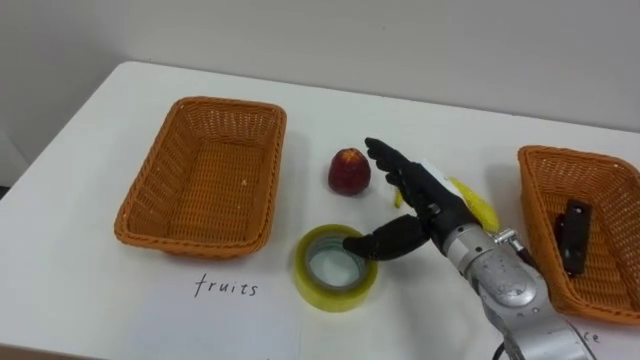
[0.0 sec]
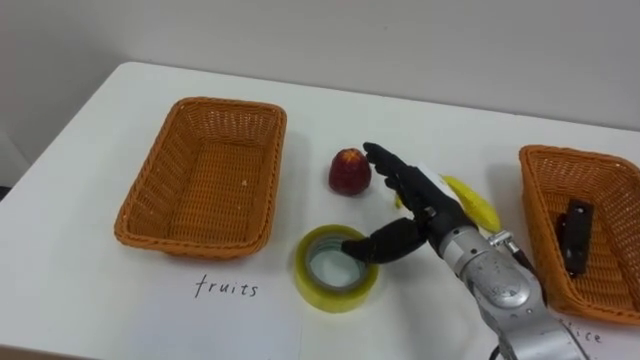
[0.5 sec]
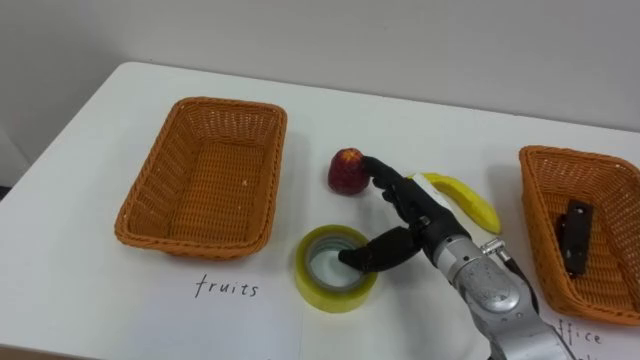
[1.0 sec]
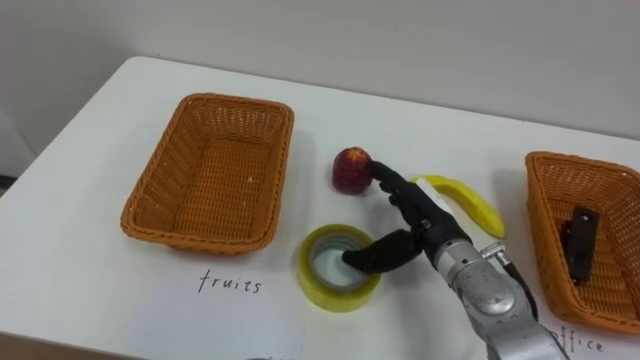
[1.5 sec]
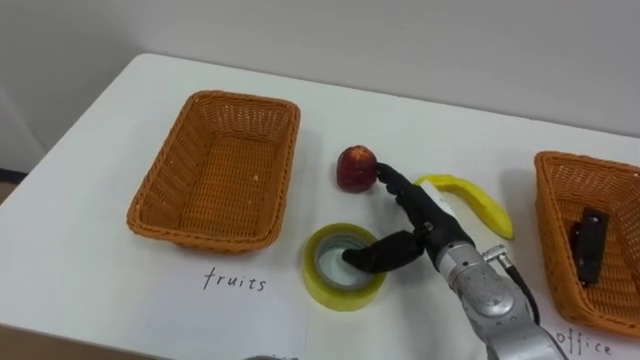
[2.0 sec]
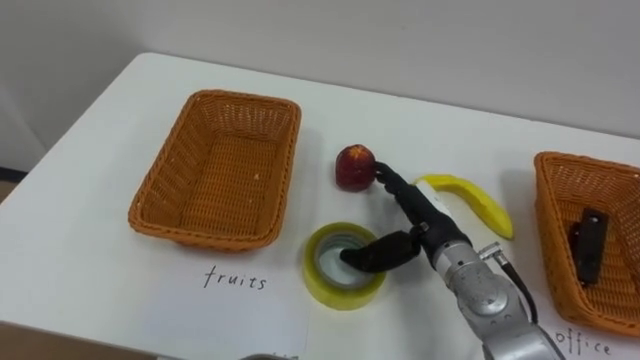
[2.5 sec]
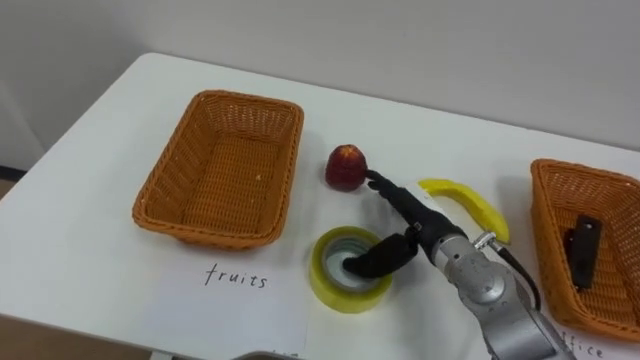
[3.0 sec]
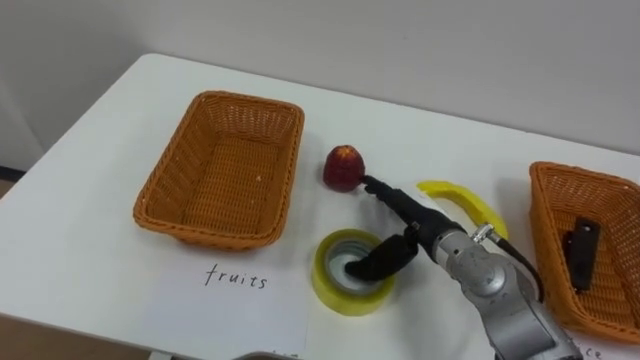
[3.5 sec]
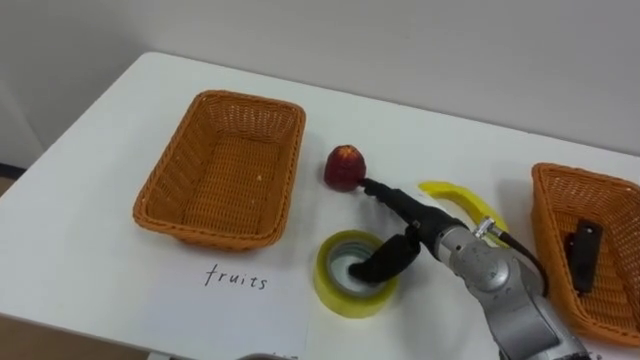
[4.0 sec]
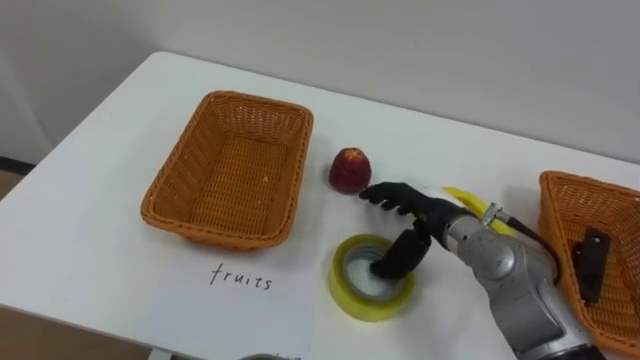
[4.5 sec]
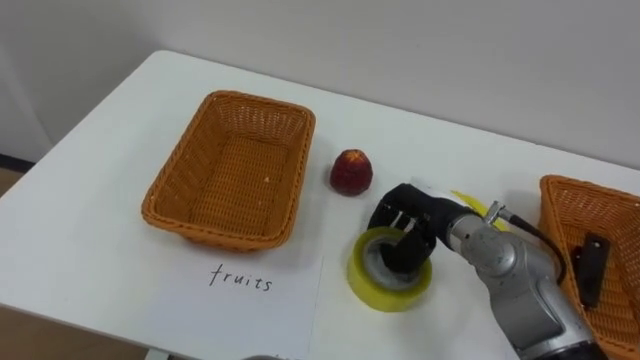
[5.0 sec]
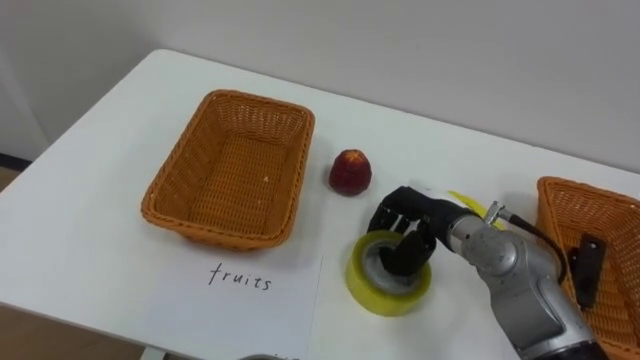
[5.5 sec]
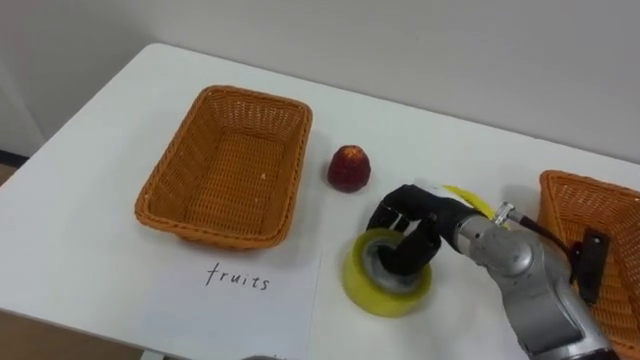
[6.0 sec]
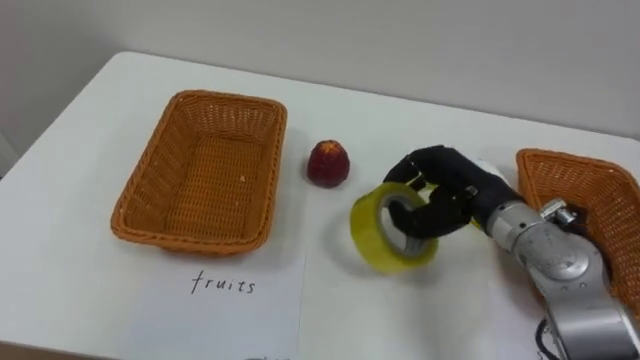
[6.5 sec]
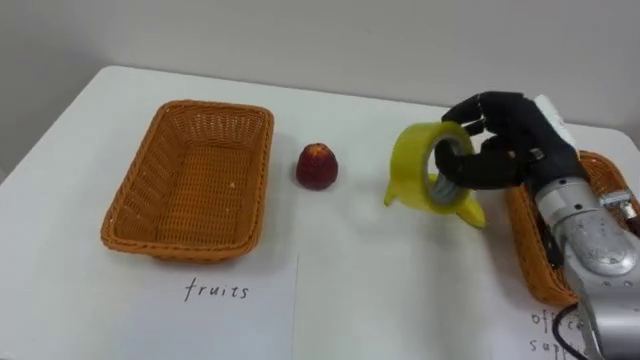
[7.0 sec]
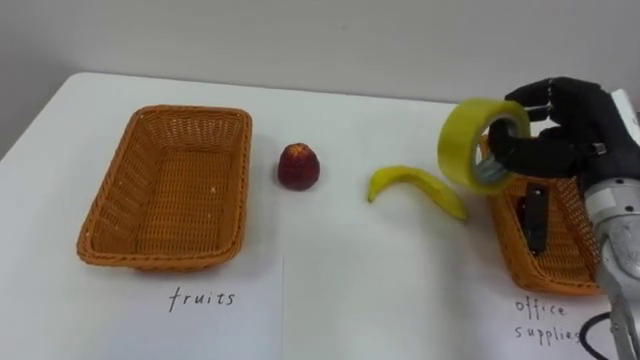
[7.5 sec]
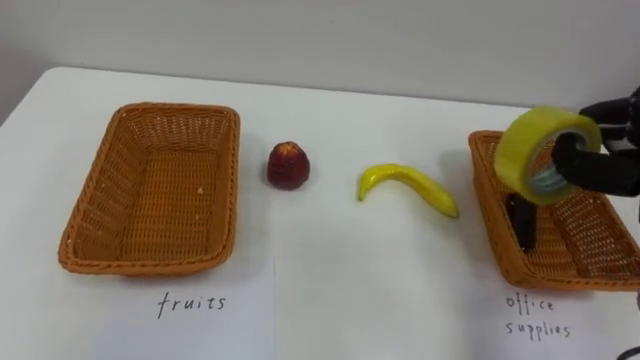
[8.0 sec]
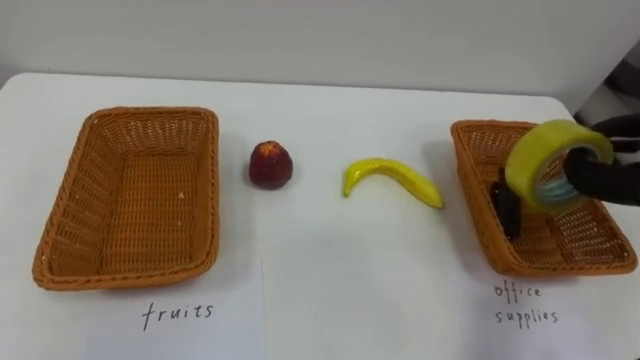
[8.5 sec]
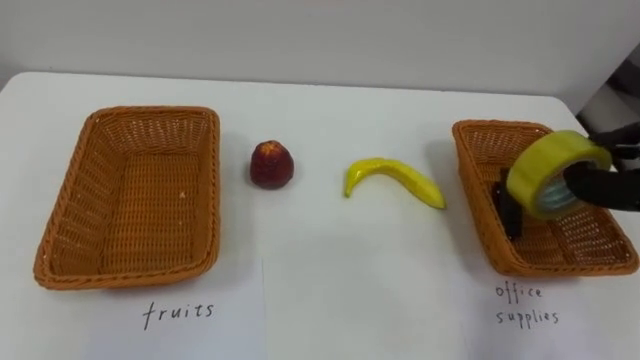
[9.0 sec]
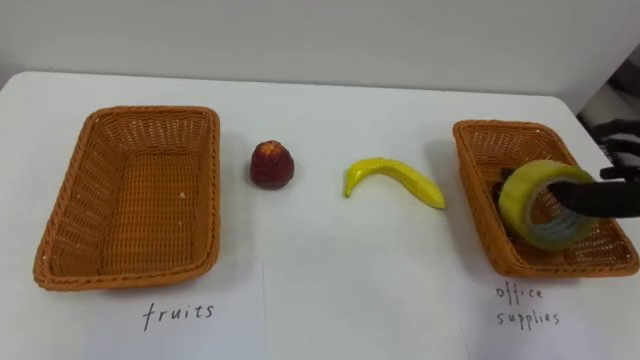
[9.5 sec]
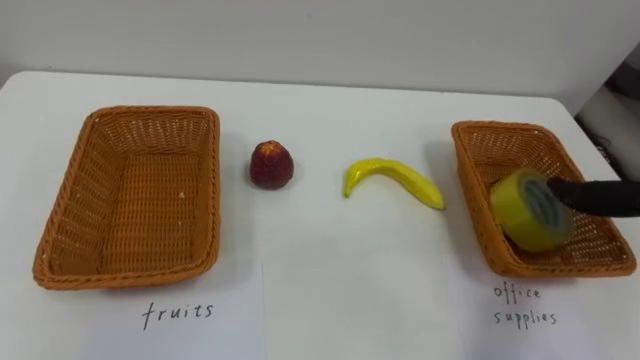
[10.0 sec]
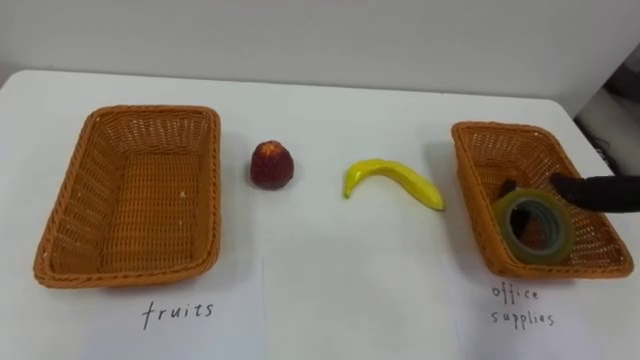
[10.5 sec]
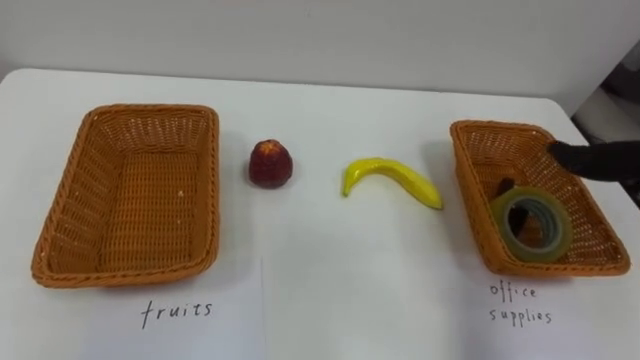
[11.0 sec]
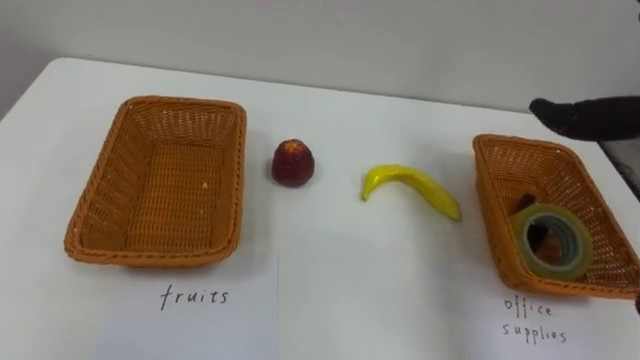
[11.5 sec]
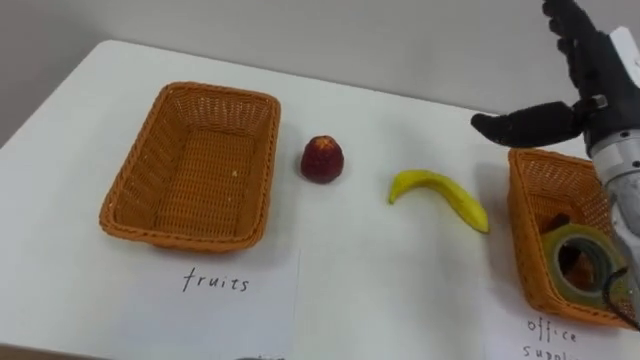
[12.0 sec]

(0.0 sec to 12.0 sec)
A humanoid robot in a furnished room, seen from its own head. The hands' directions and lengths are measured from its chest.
Task of the whole recording: Separate the items on the table and place them into the two baskets.
4.0 sec - 6.0 sec: The right hand closes.

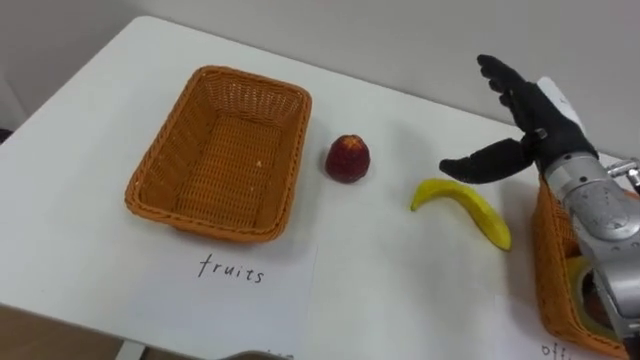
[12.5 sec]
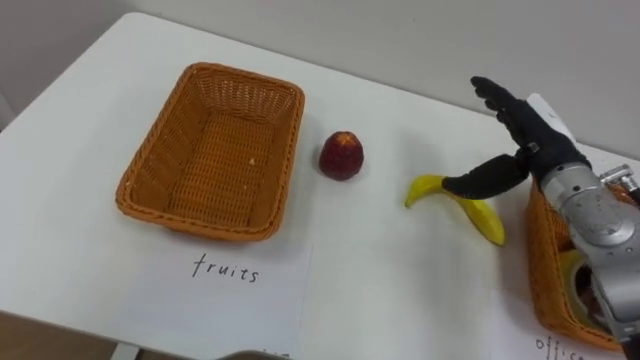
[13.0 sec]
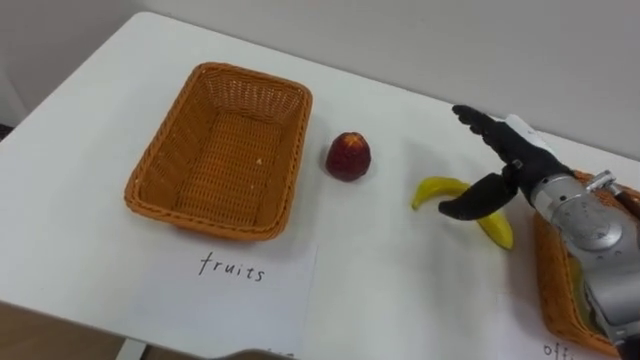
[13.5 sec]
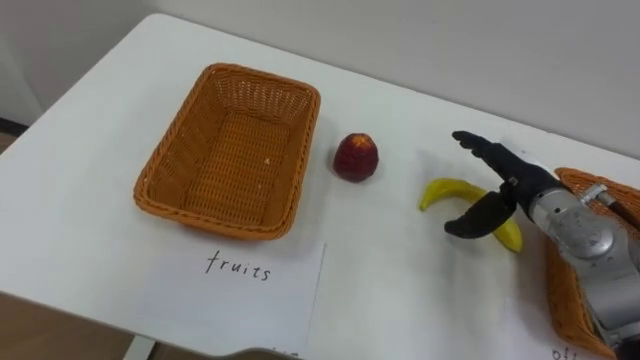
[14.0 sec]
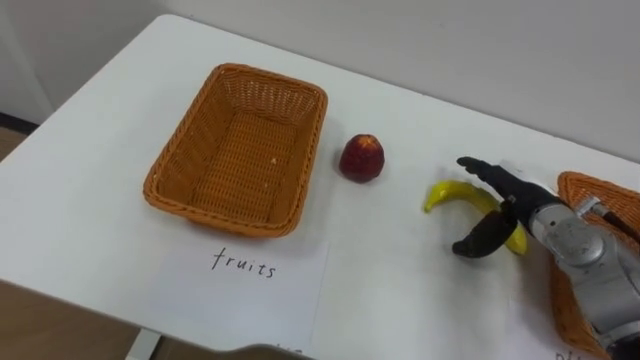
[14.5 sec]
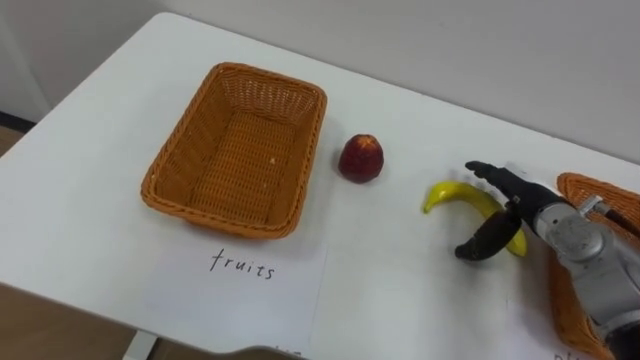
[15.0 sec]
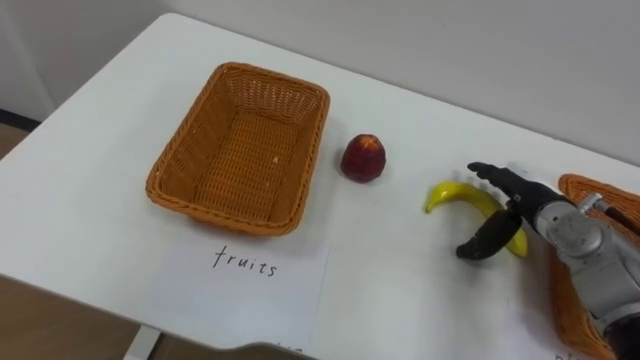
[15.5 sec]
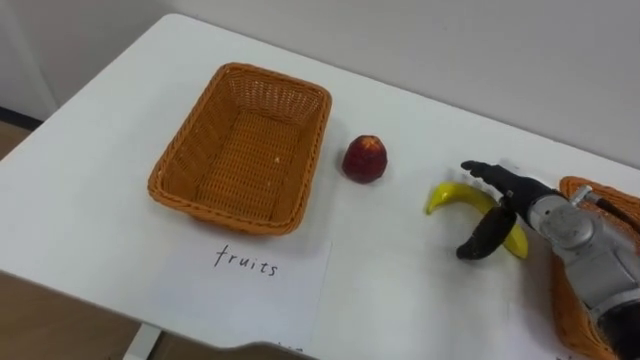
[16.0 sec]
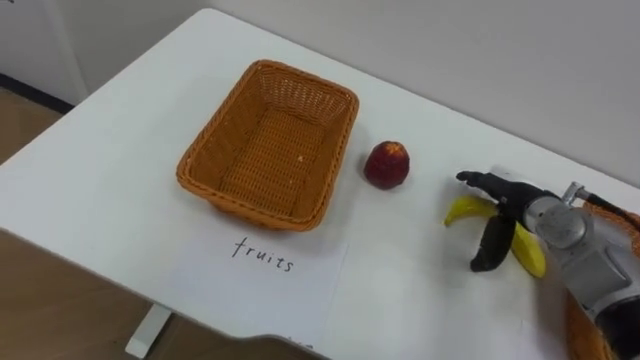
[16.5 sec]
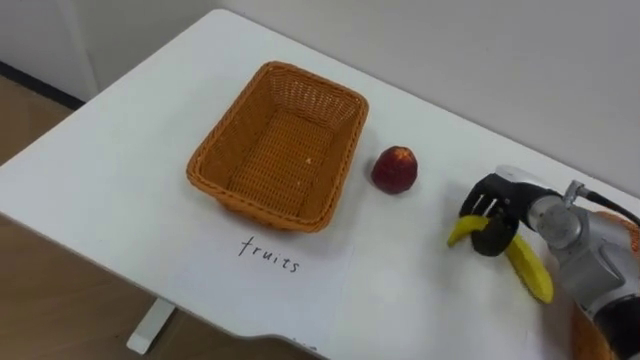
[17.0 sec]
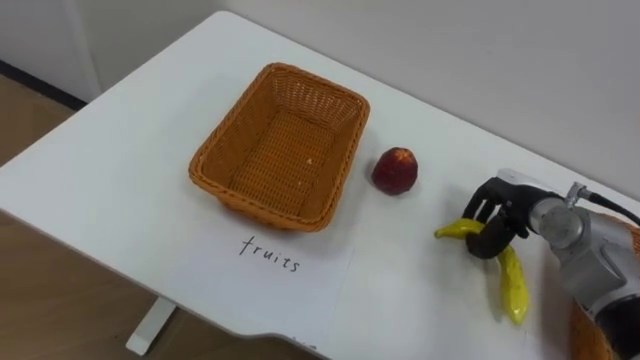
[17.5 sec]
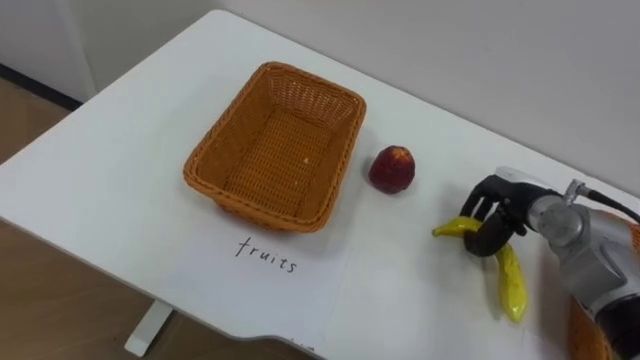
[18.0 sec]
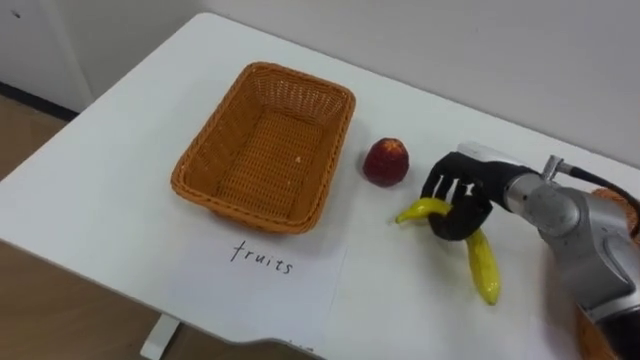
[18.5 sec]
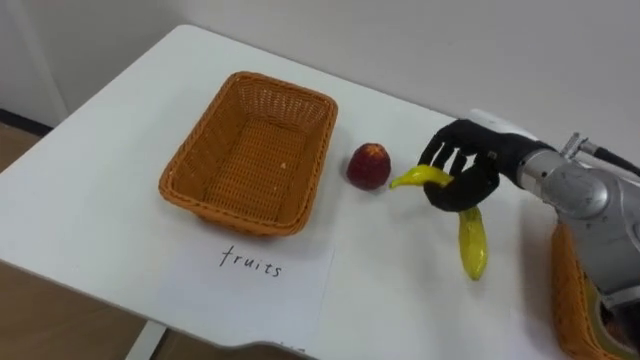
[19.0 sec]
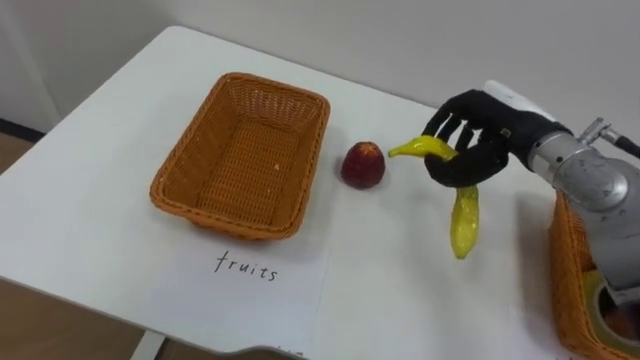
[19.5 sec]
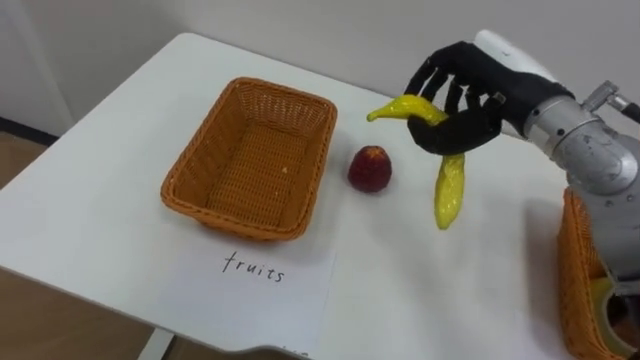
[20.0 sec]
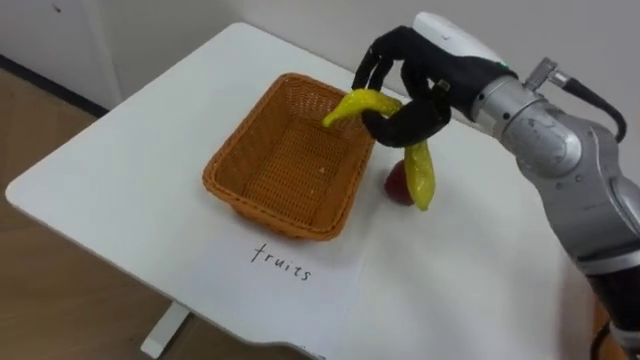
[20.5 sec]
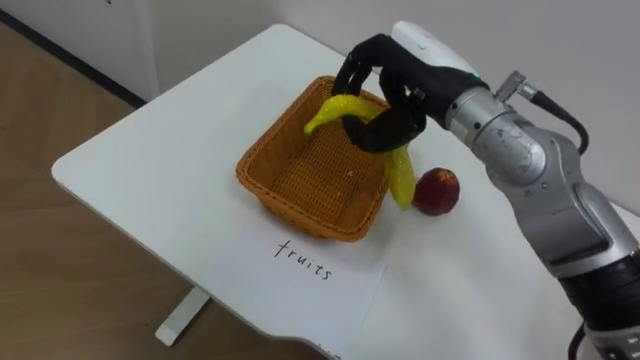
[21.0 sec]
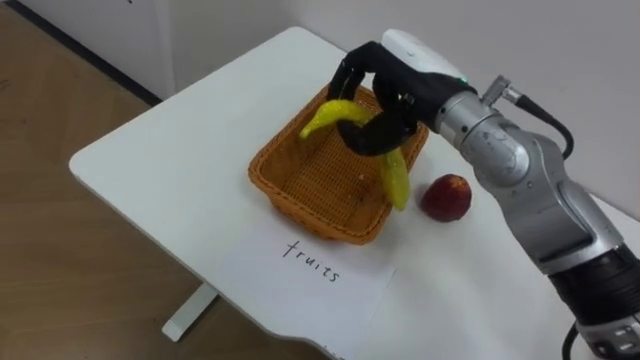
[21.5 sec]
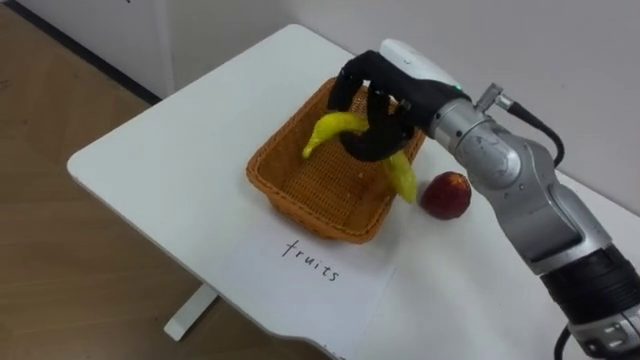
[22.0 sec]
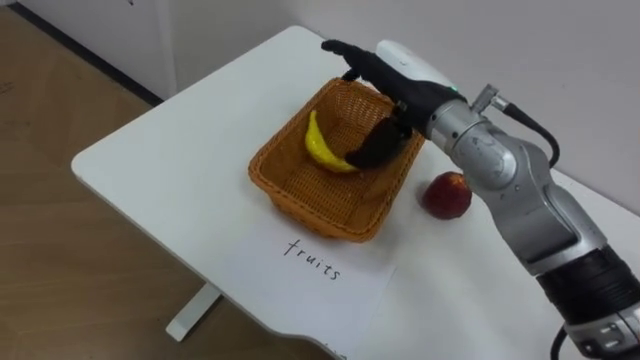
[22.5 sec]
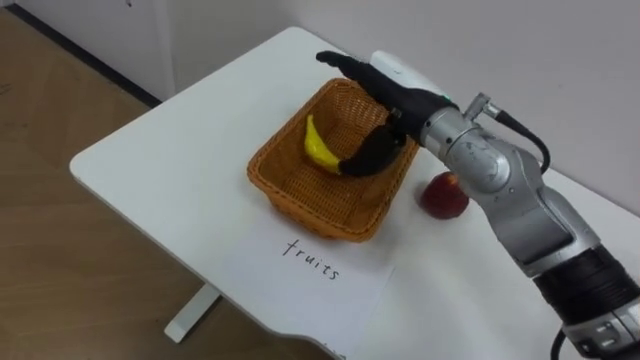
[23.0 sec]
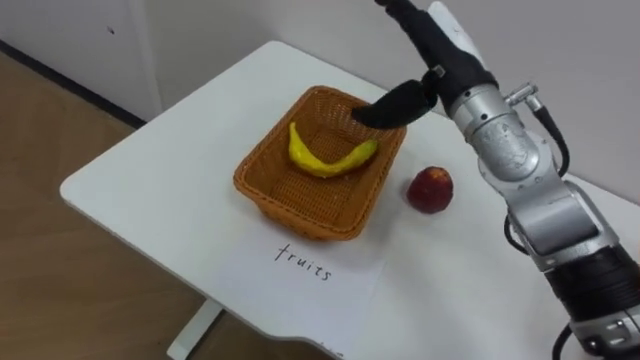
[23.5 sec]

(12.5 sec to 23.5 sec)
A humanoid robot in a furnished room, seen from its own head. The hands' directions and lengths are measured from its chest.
Task of the whole recording: Separate the items on the table and place them into the two baskets.
12.5 sec - 14.5 sec: The right hand shifts approximately 10 cm downward.
16.0 sec - 18.0 sec: The right hand closes.
18.0 sec - 20.0 sec: The right hand heads upward and to the left, covering roughly 20 cm.
20.0 sec - 21.5 sec: The right hand shifts roughly 10 cm to the left.
21.5 sec - 23.5 sec: The right hand opens.
